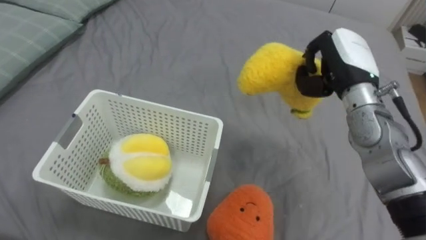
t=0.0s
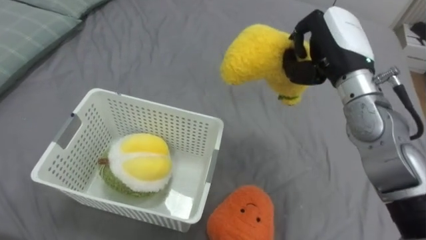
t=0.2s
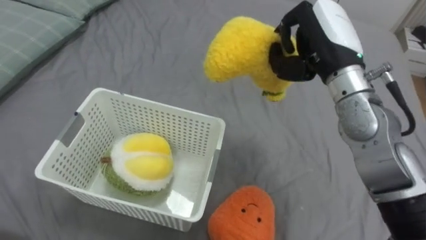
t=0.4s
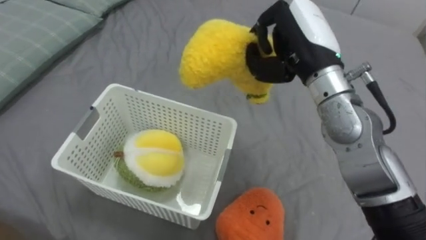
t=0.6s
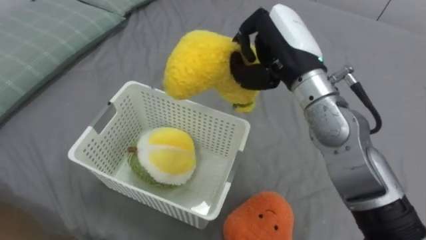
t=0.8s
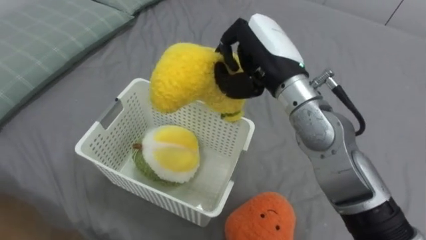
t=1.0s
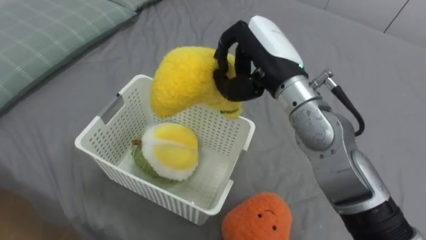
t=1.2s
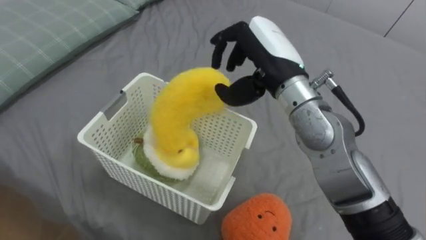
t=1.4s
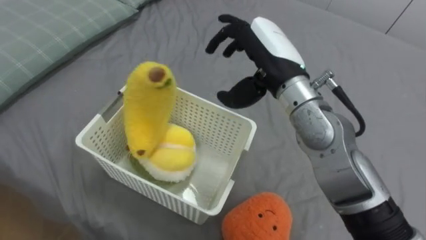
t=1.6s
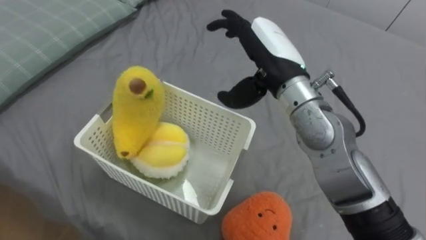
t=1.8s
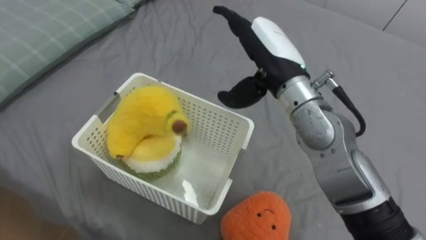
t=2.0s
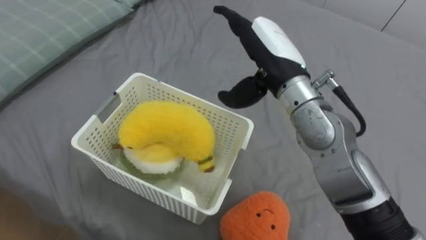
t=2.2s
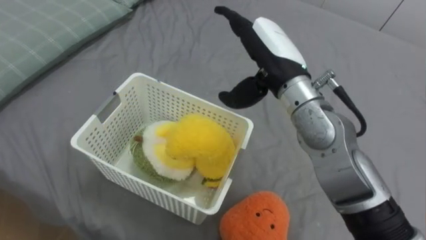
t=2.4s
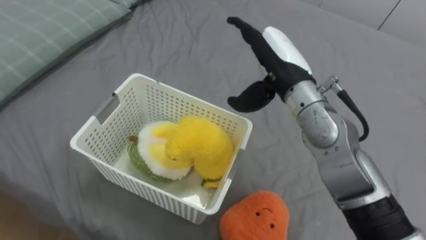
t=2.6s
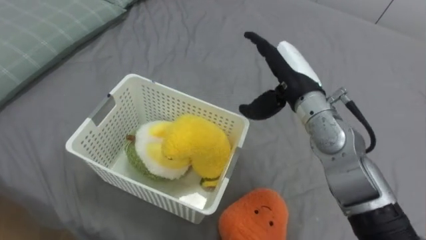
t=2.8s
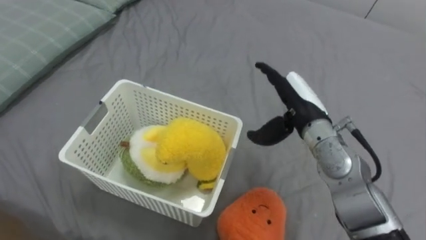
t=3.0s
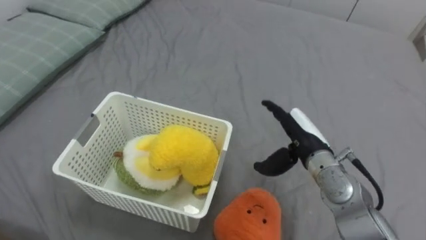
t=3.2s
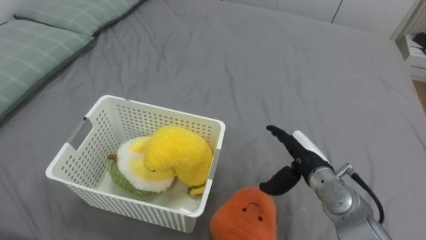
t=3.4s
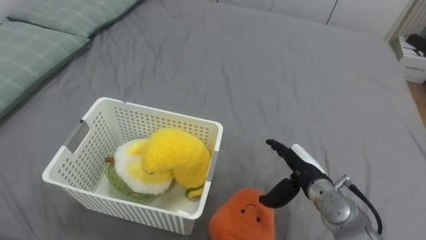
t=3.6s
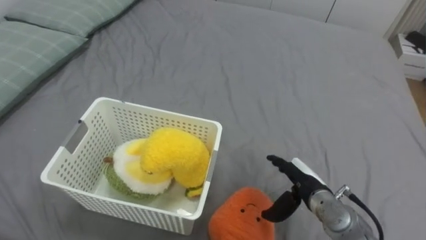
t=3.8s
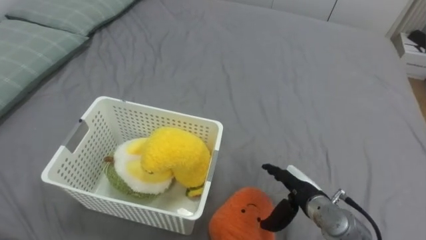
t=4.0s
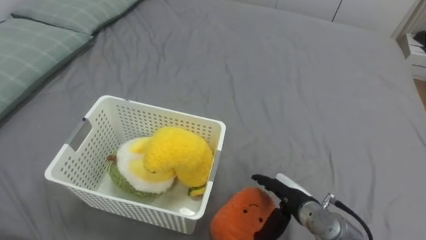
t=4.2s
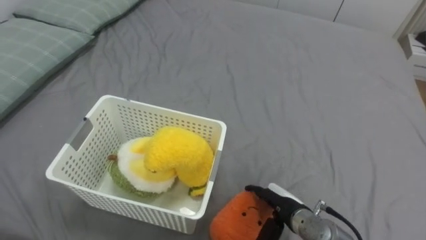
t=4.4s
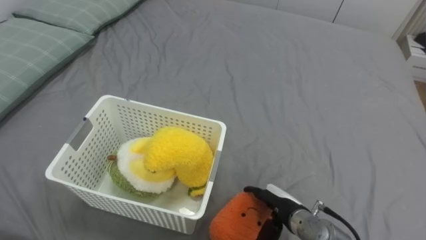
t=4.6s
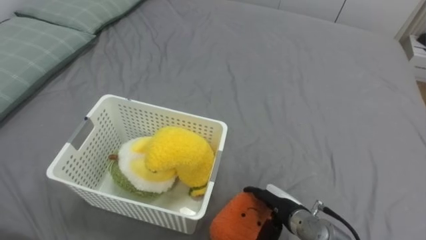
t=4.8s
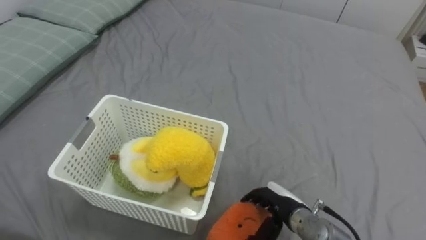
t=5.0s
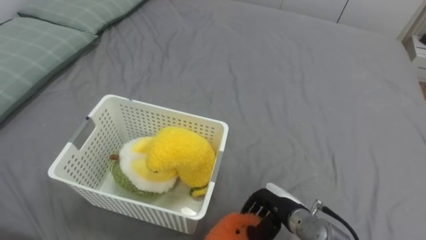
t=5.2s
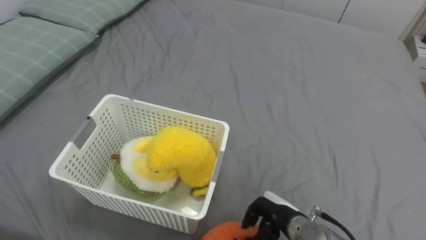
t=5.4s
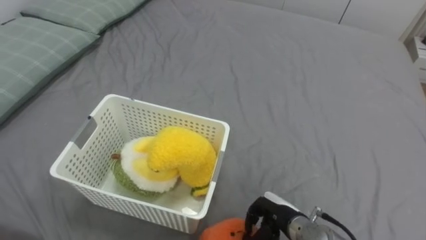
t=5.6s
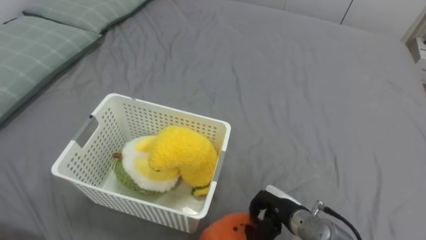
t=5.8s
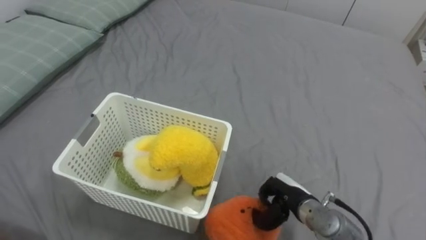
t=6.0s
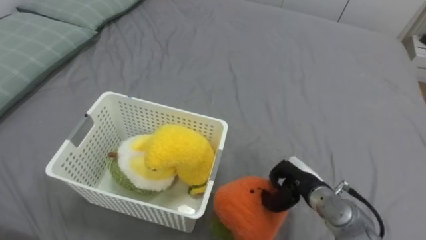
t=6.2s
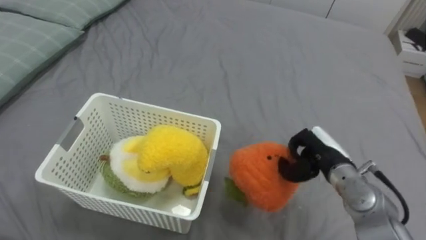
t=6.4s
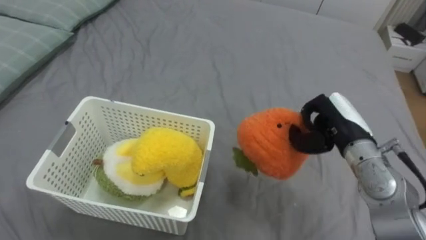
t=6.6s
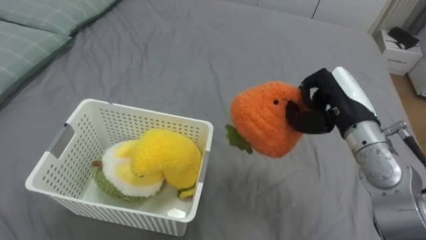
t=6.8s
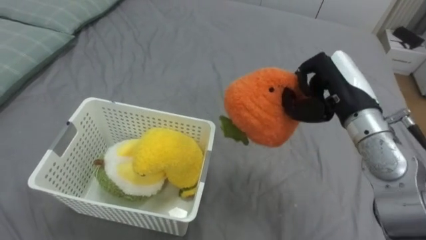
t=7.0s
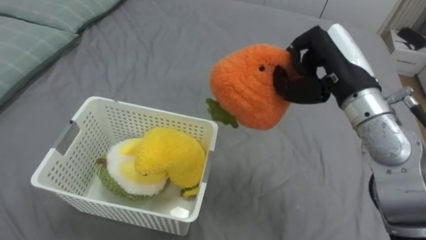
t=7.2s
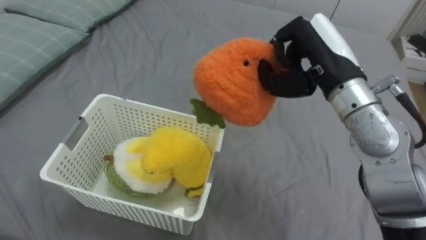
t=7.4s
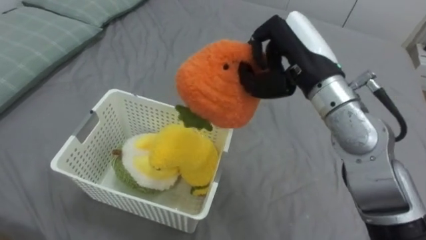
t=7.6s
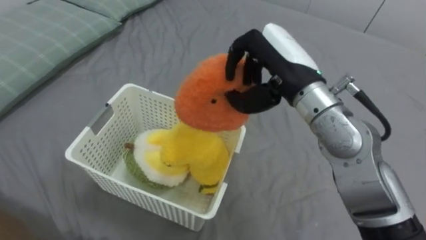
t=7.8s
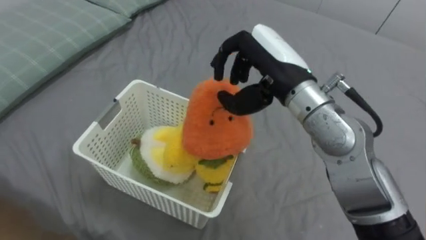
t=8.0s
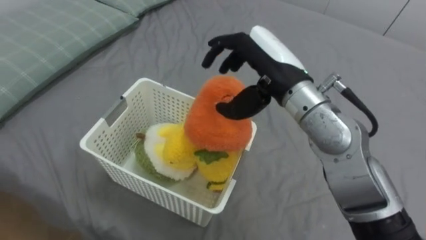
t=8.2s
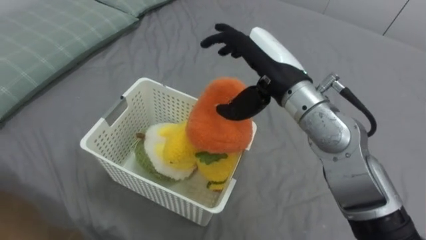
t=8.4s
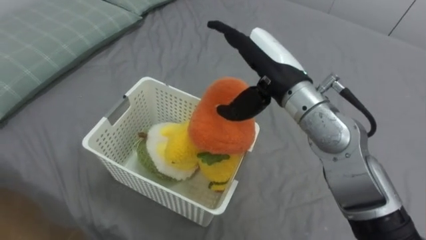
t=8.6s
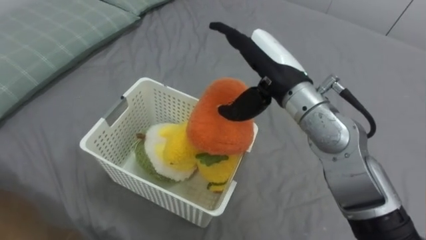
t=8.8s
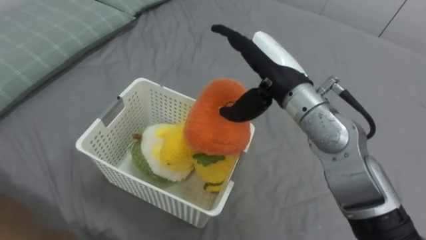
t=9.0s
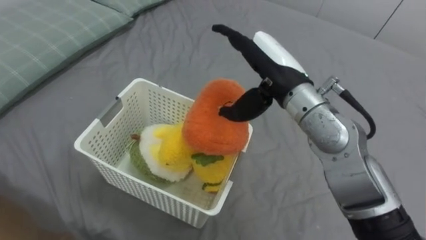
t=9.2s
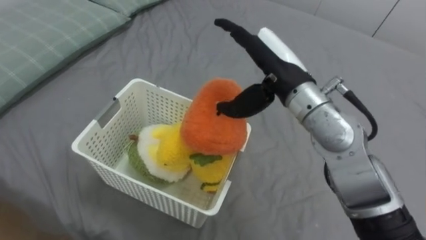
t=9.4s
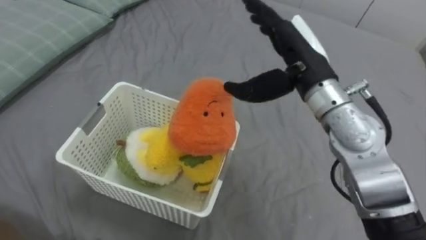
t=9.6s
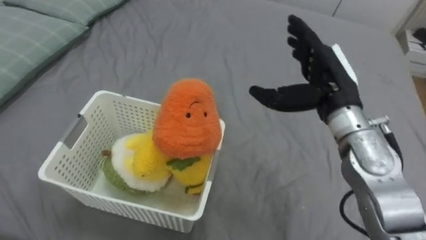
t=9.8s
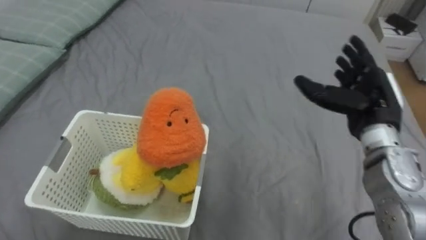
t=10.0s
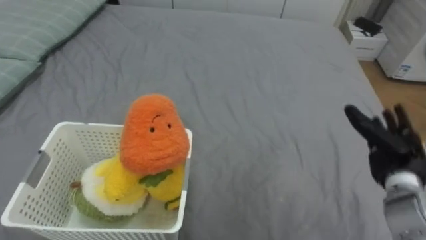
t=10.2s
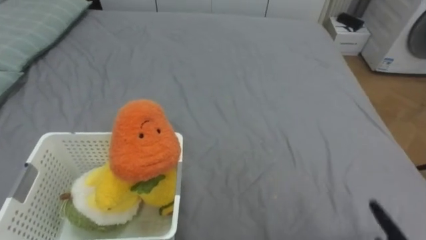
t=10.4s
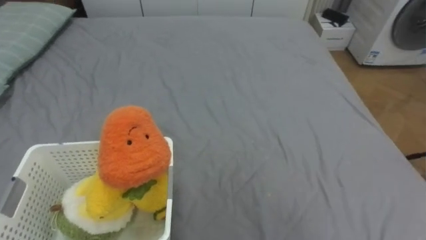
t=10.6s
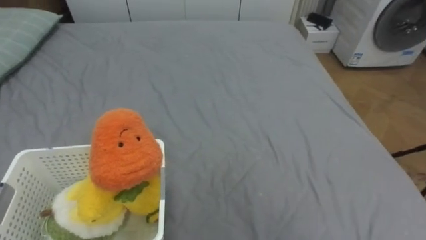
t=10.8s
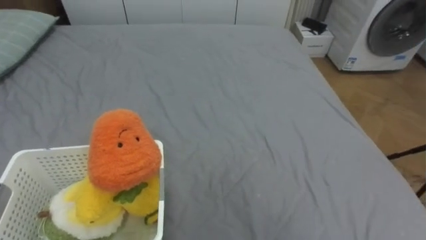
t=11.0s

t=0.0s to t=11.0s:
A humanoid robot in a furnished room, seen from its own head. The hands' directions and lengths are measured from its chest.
Task of the whole recording: Put the toys on the bed into the basket on the left.
t=0.0s to t=1.6s: The right hand travels to the left by approximately 15 cm, and opens its fingers.
t=1.6s to t=3.2s: The right hand travels downward and to the right by roughly 20 cm.
t=3.2s to t=4.8s: The right hand heads downward and backward, covering roughly 15 cm.
t=4.8s to t=6.2s: The right hand changes place by approximately 5 cm, and closes up.
t=6.2s to t=7.8s: The right hand moves upward, roughly 25 cm.
t=7.8s to t=9.4s: The right hand opens its fingers.
